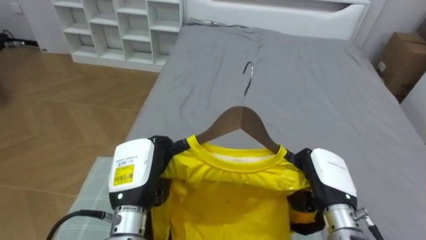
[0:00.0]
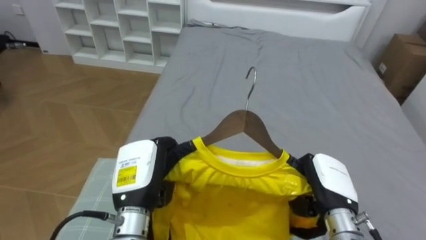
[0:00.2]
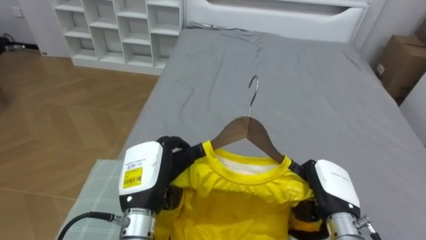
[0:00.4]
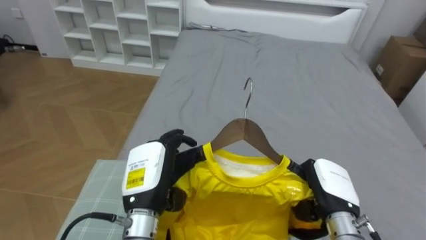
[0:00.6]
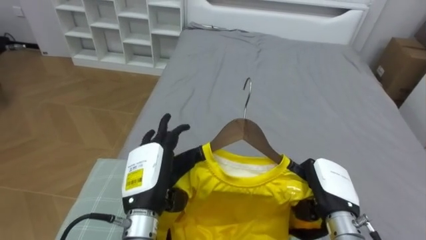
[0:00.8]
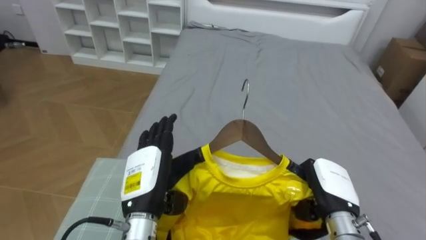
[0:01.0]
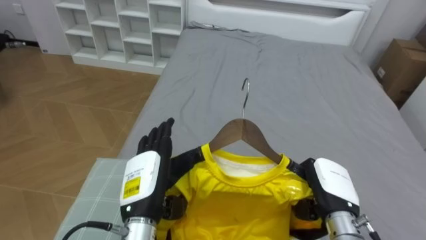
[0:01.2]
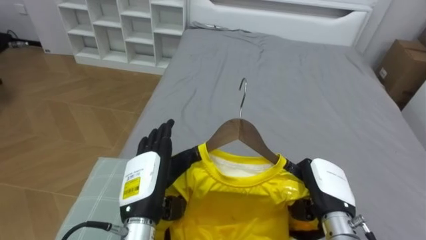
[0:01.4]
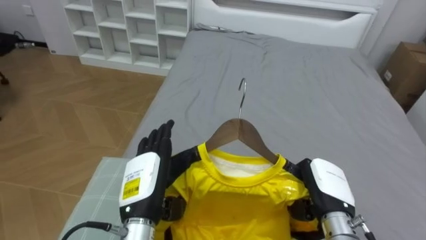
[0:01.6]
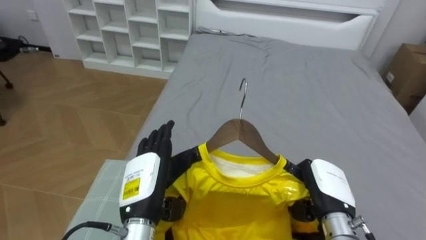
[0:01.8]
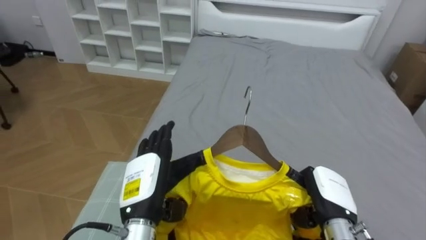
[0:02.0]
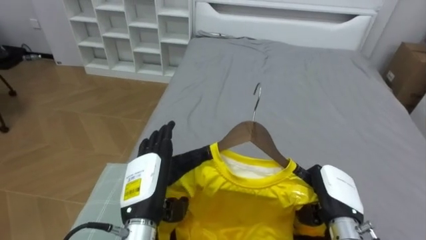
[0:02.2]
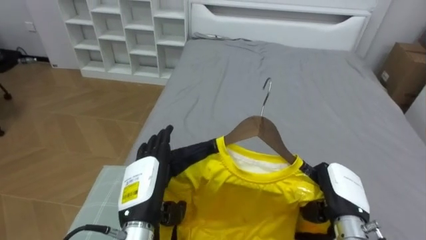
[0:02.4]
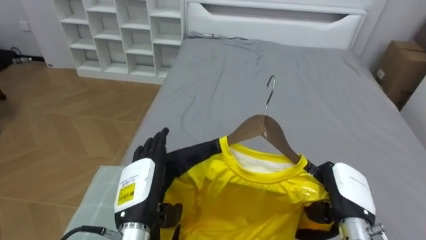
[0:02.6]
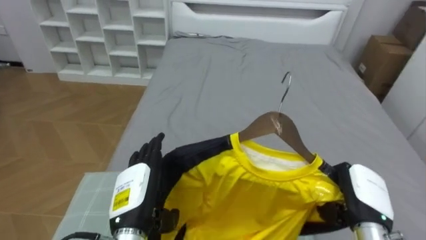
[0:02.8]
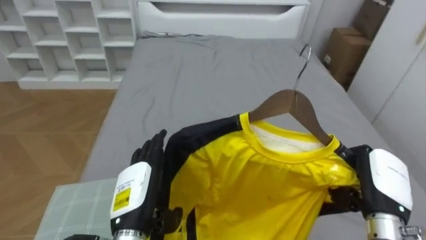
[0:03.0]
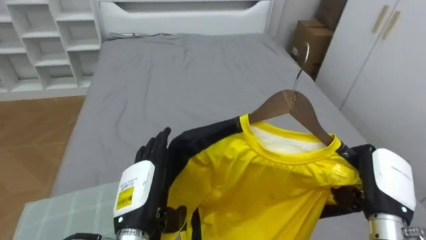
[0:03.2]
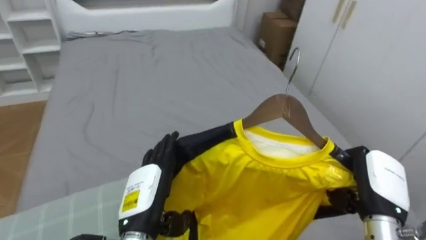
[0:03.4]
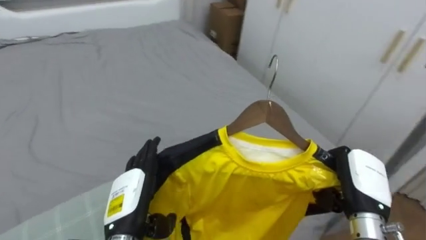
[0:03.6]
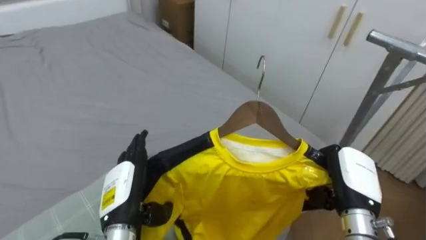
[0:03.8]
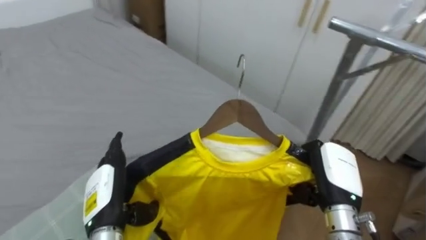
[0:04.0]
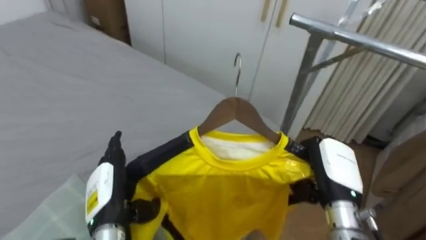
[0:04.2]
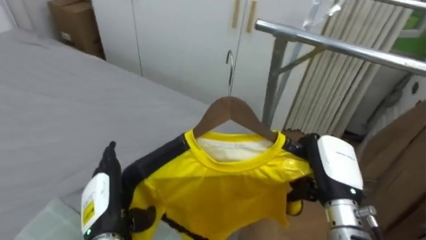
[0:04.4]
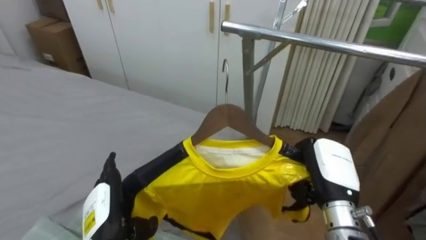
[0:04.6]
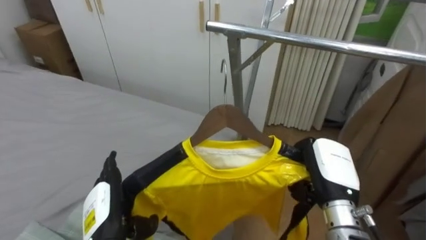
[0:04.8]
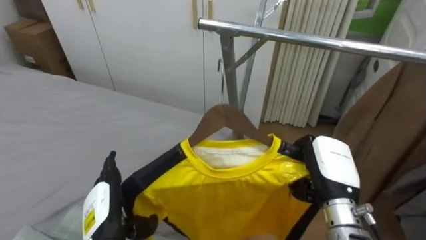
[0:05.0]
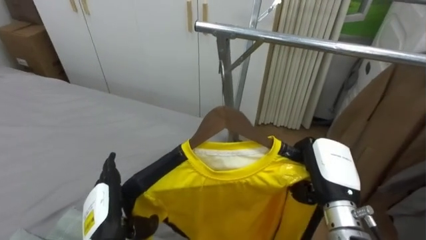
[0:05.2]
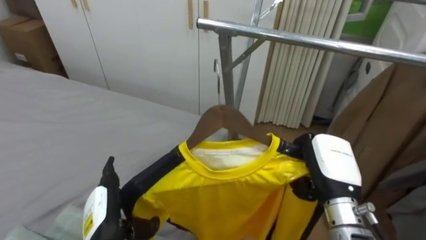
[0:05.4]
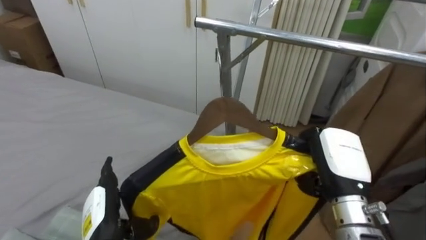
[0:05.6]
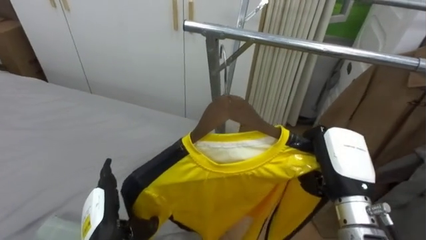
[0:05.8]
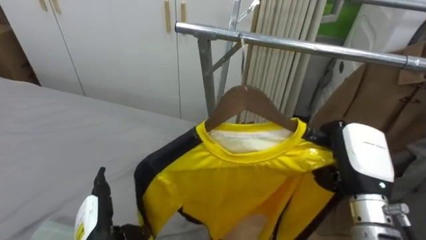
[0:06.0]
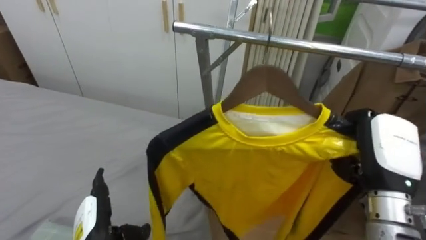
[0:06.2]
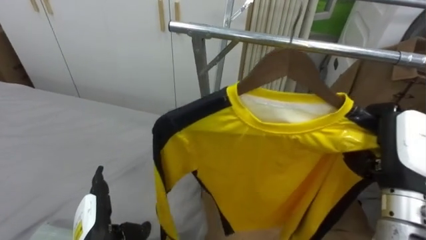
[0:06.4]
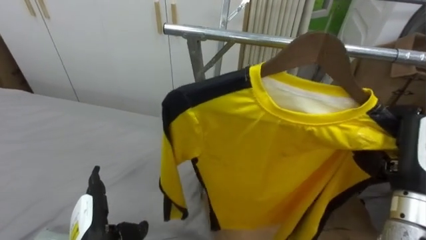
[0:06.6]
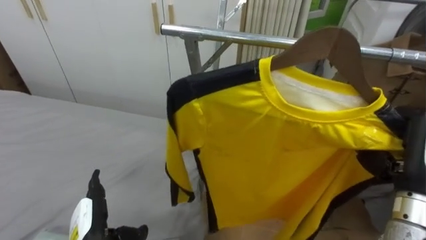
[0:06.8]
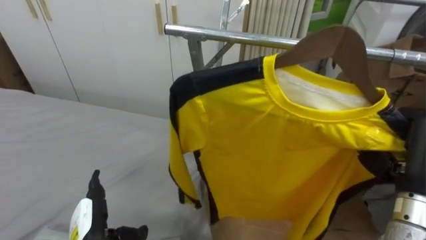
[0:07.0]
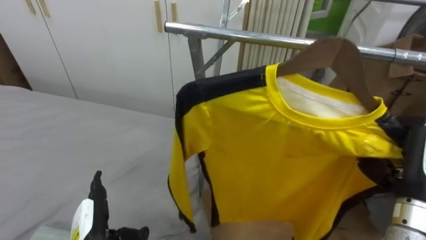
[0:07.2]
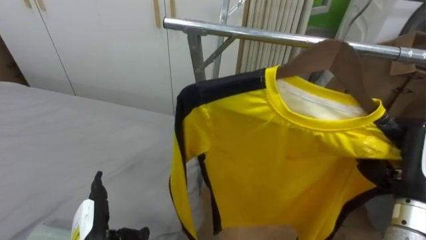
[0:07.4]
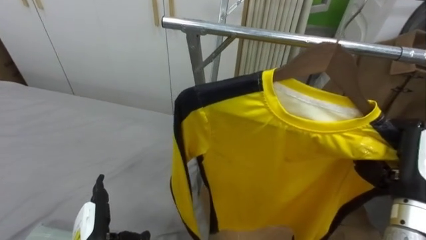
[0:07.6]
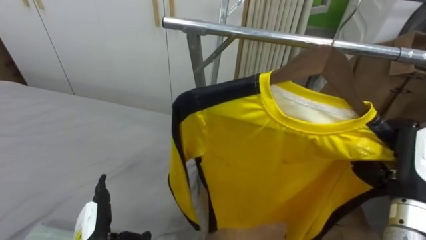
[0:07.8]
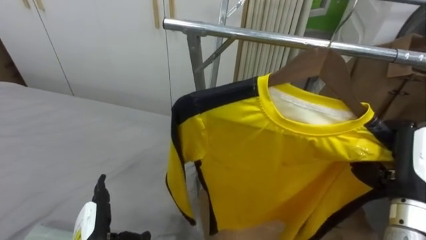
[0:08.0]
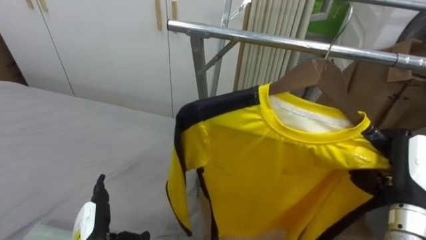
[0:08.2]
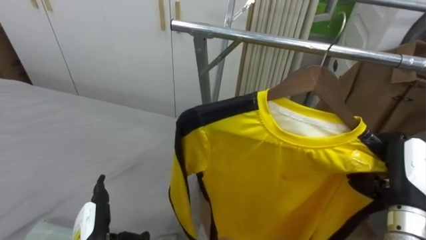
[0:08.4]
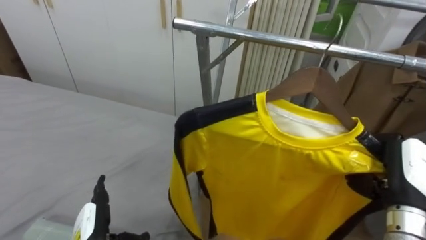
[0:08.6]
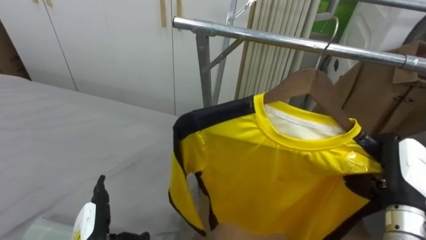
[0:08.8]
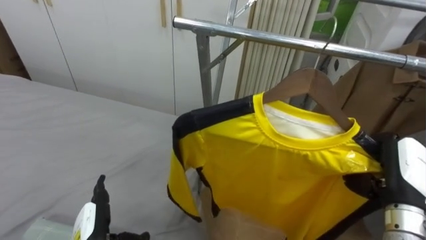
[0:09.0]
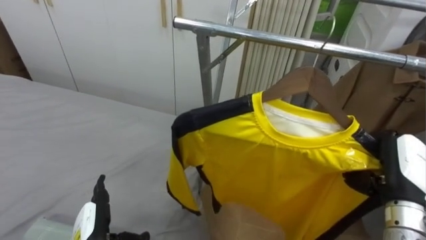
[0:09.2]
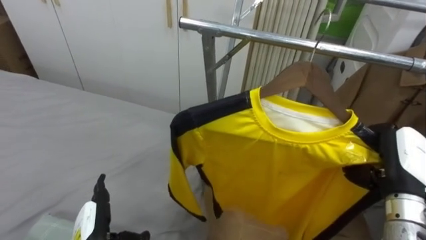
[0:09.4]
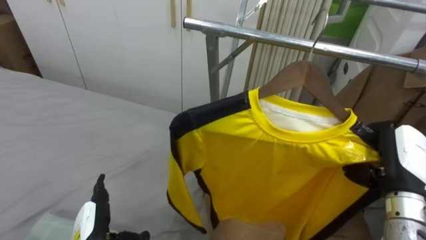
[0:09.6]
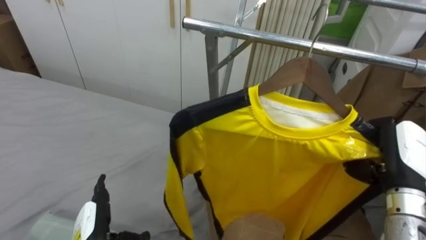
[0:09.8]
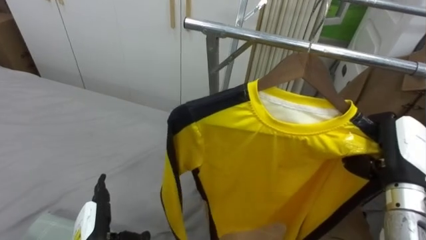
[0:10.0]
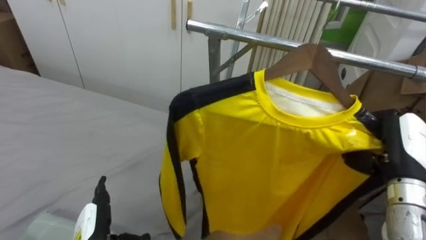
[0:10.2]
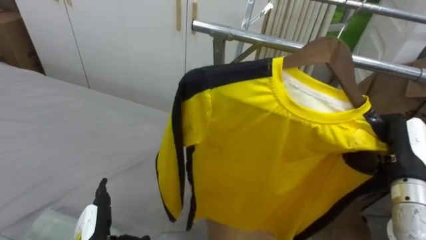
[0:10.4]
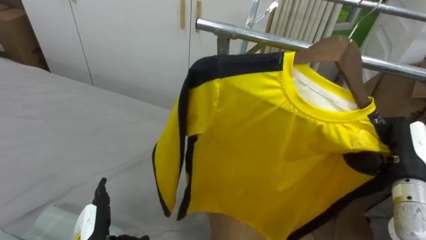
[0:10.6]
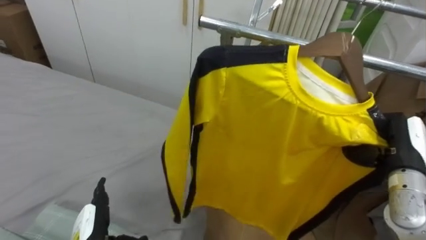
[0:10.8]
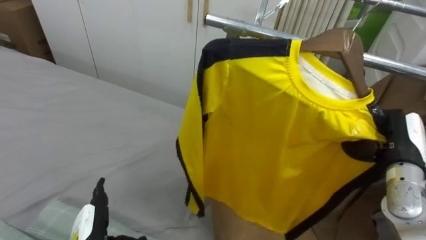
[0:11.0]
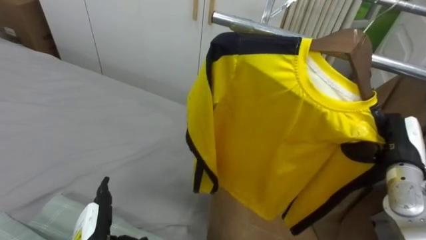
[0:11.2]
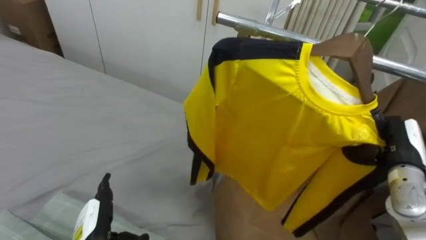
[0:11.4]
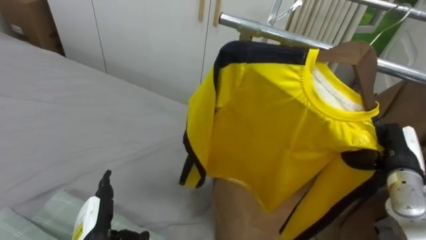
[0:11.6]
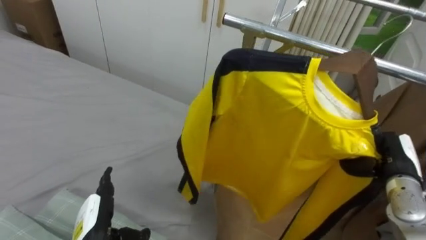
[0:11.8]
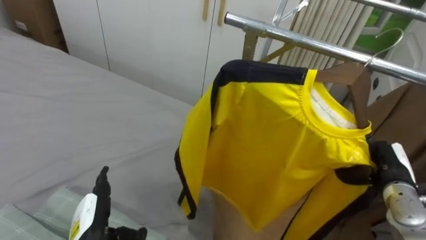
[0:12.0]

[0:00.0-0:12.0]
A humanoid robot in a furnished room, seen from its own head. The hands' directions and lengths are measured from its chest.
Task of the whole recording: Pick up the yellow shirt on the bed and hang it on the clothes rack on the right.
0:00.0 to 0:01.6: The left hand opens up.
0:01.6 to 0:03.0: The right hand travels to the right by approximately 10 cm.
0:03.0 to 0:04.4: The robot turns to its right by about 65 degrees. Both hands travel together to the left, some 5 cm.
0:06.0 to 0:07.6: The right hand is displaced to the right by some 10 cm.
0:10.4 to 0:12.0: The right hand is displaced downward by approximately 10 cm.

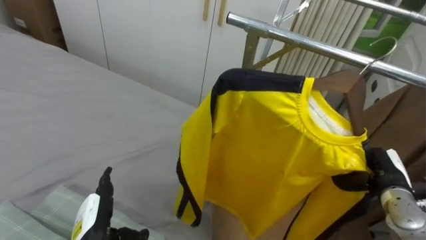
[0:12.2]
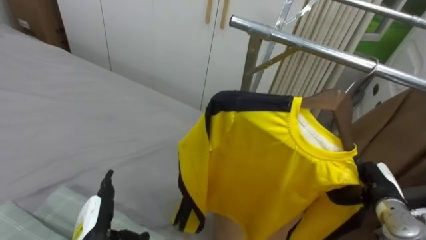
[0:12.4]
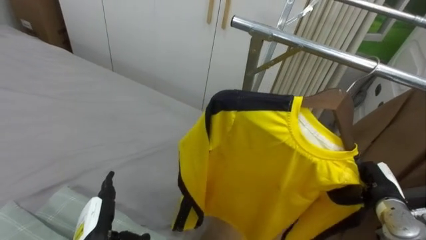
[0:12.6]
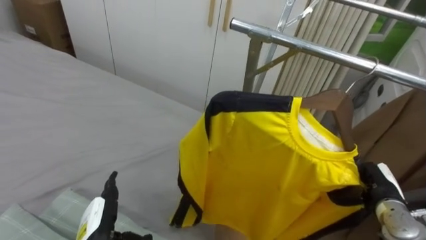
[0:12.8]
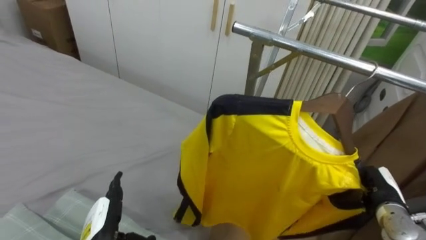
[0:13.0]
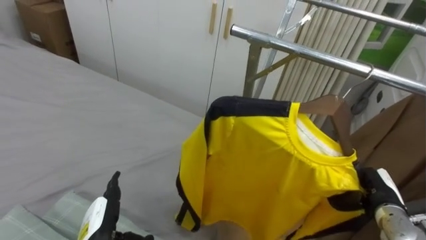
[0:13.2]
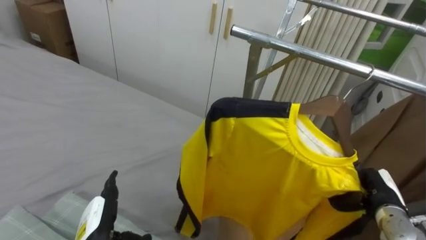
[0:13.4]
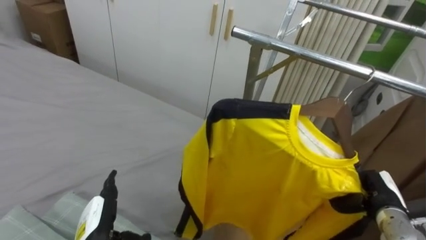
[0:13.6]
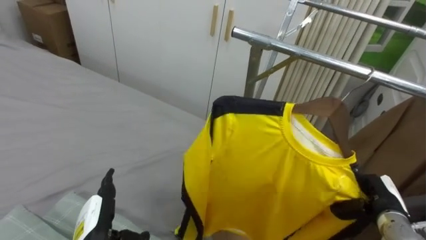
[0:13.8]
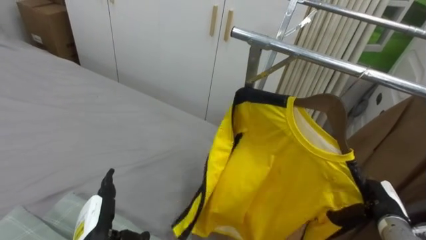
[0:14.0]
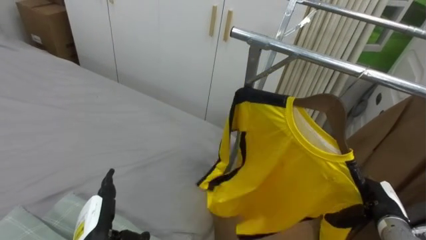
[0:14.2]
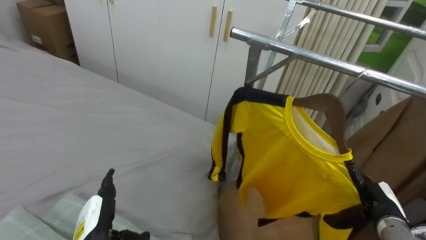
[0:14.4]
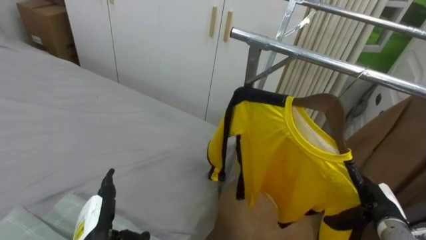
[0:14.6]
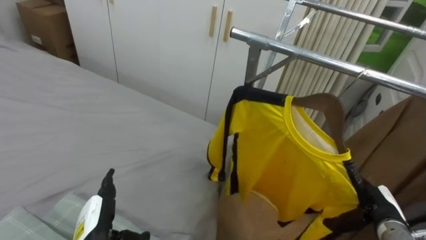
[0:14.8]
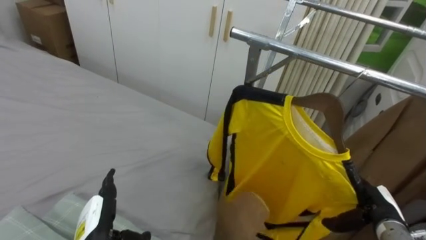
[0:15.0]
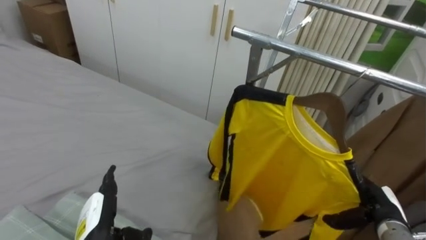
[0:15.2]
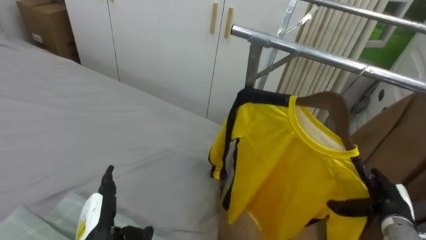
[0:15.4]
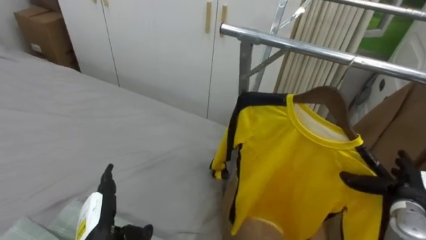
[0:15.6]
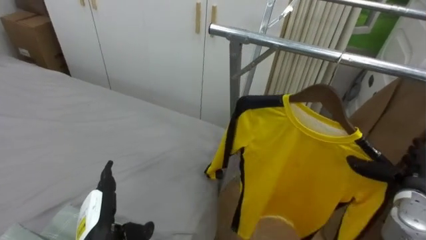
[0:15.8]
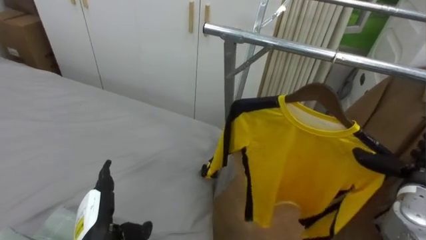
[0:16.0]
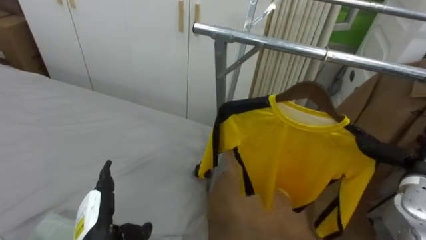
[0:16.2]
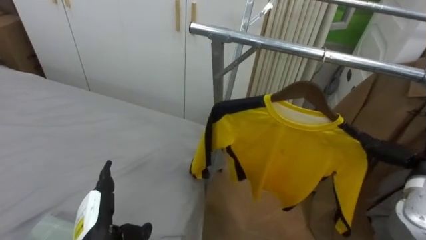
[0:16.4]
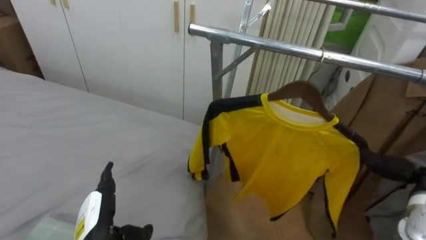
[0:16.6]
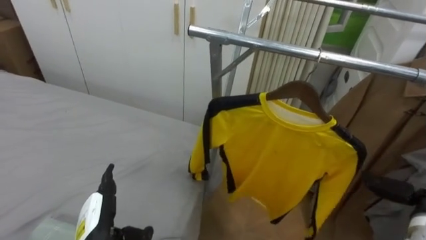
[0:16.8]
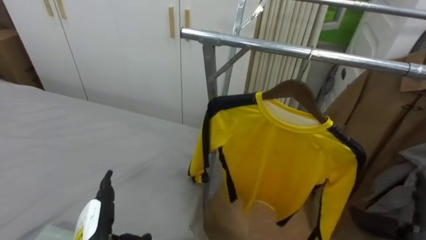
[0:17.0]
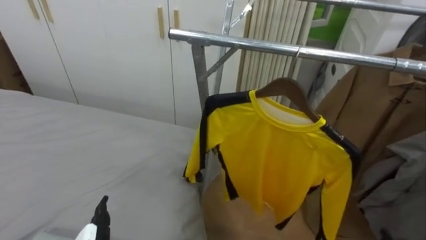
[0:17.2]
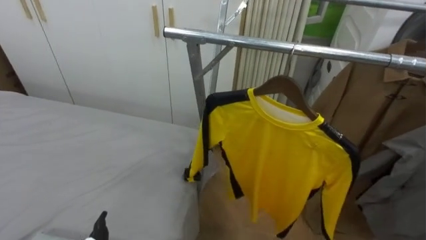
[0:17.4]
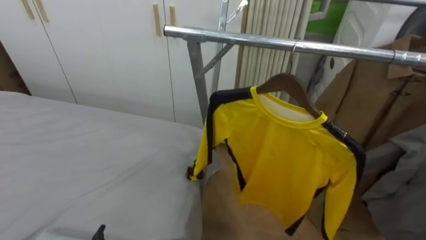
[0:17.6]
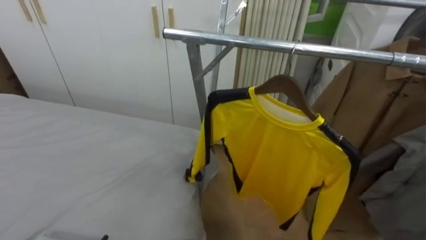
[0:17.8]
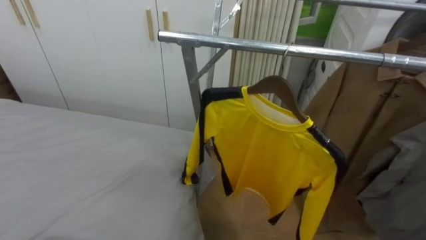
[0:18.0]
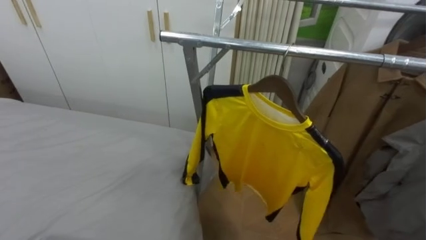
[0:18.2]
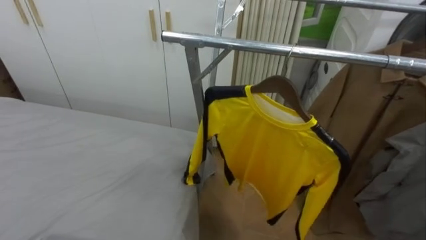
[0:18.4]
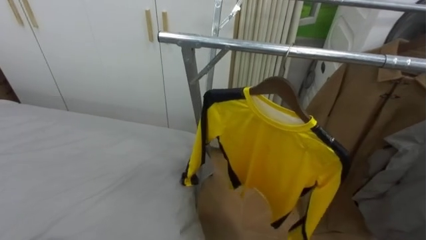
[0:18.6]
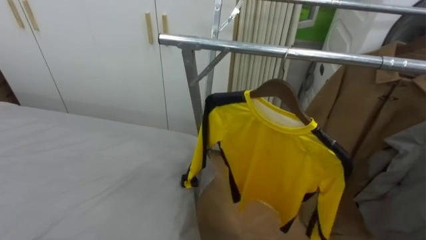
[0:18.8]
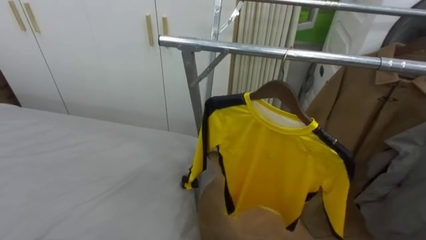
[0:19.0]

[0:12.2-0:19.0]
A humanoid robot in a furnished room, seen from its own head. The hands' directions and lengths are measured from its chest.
Task of the whole recording: Pick up the yellow shirt on the bed and hang it on the clothes rack on the right.
0:13.6 to 0:15.0: The right hand opens its fingers.
0:15.0 to 0:16.2: The right hand shifts roughly 10 cm upward.
